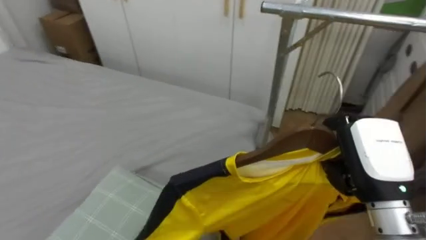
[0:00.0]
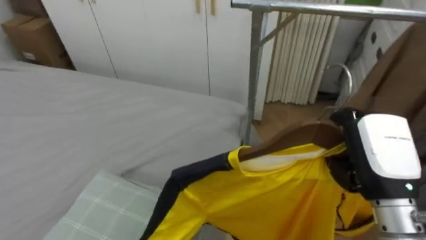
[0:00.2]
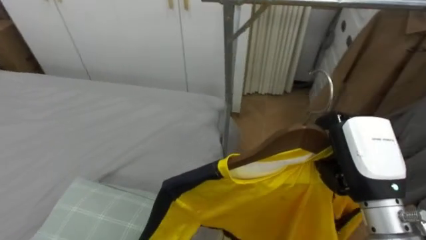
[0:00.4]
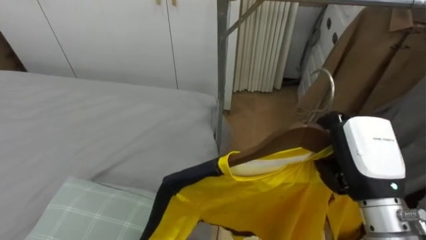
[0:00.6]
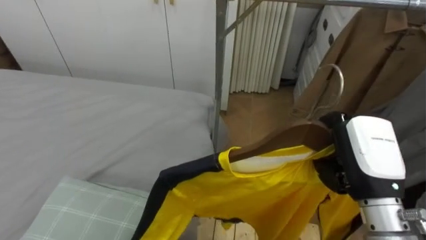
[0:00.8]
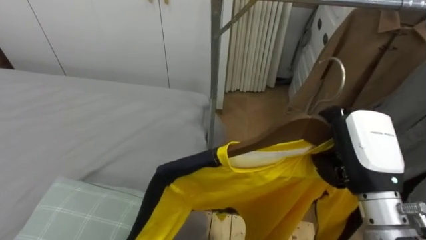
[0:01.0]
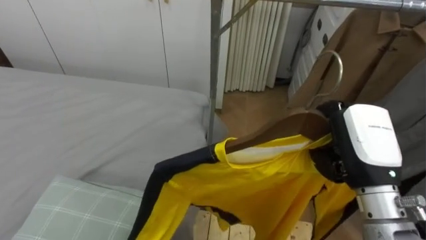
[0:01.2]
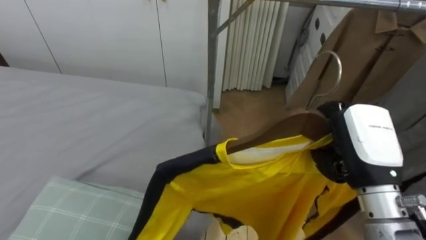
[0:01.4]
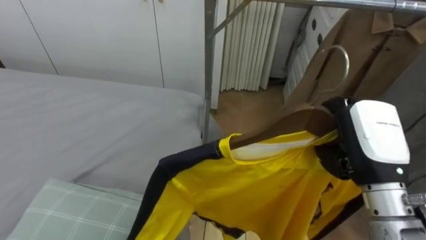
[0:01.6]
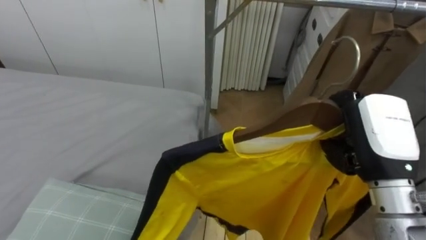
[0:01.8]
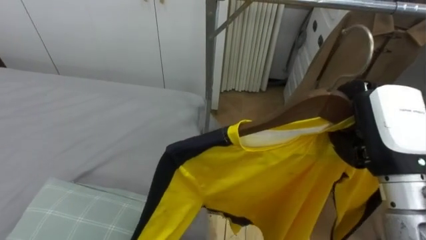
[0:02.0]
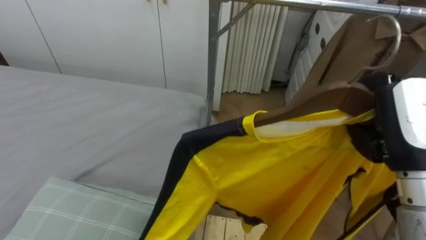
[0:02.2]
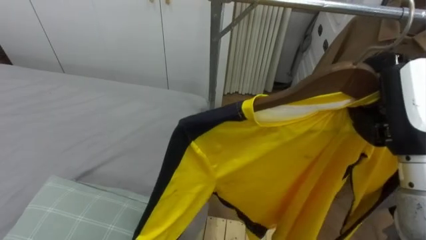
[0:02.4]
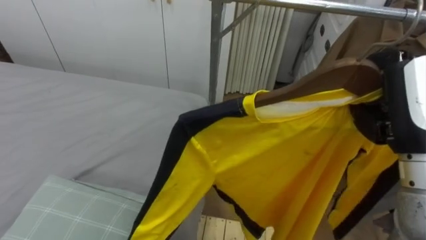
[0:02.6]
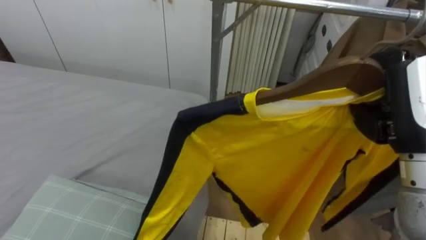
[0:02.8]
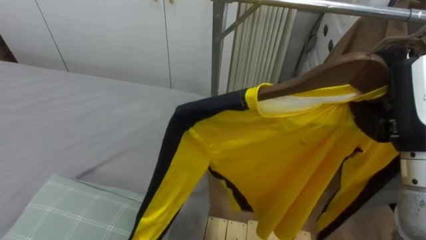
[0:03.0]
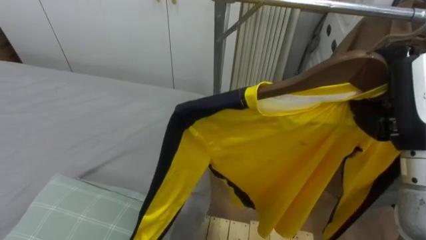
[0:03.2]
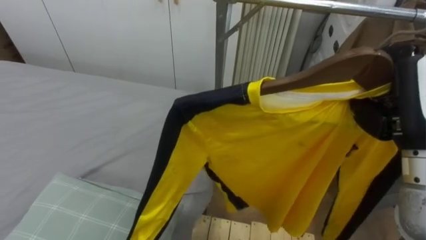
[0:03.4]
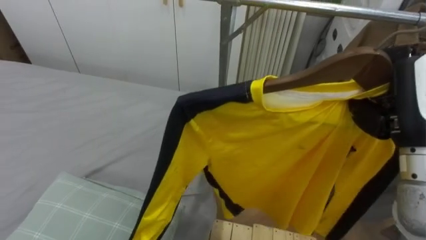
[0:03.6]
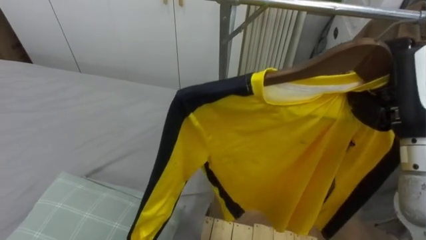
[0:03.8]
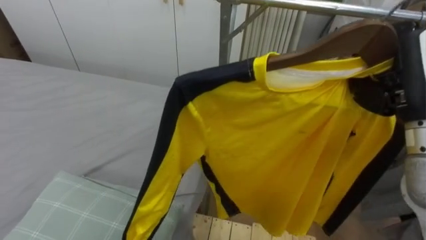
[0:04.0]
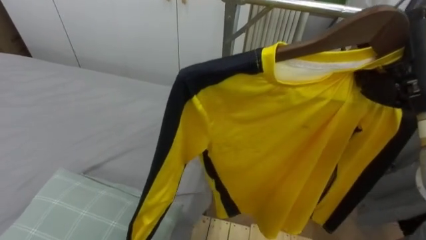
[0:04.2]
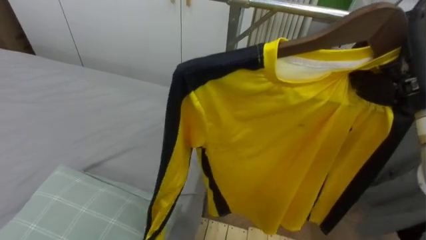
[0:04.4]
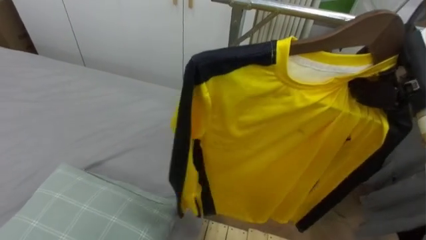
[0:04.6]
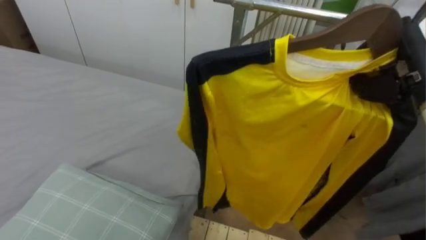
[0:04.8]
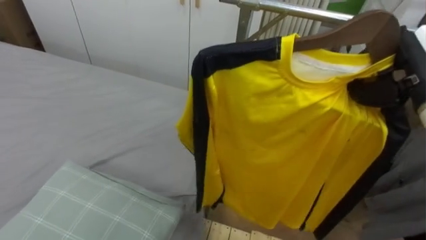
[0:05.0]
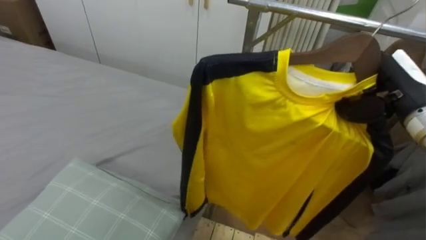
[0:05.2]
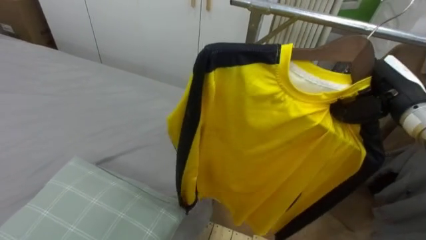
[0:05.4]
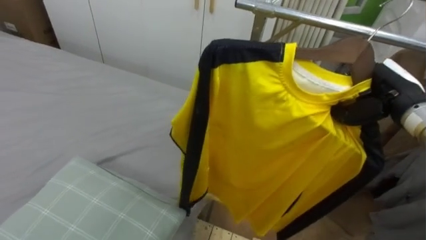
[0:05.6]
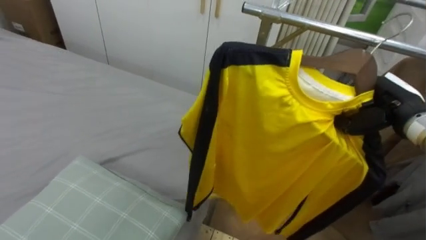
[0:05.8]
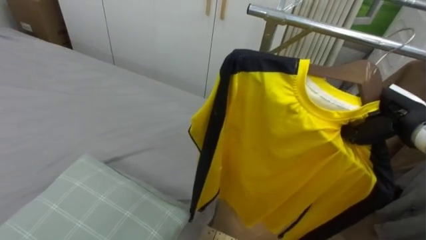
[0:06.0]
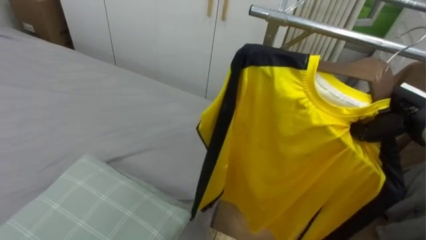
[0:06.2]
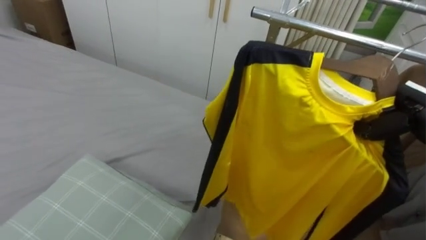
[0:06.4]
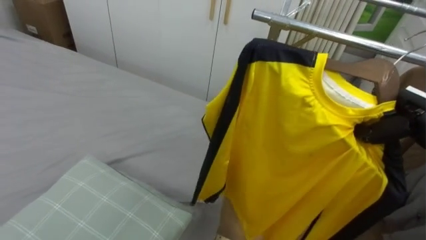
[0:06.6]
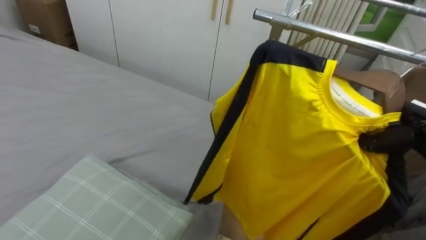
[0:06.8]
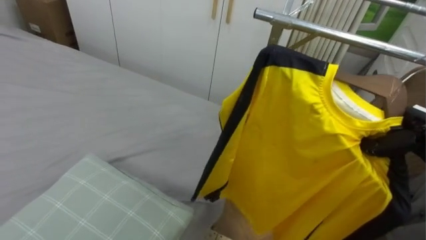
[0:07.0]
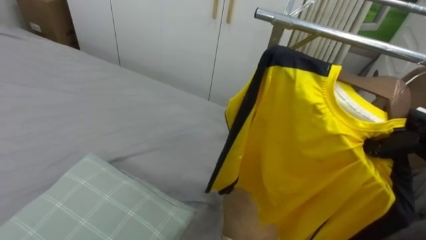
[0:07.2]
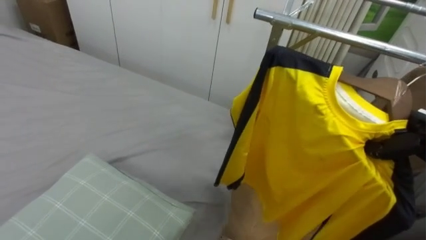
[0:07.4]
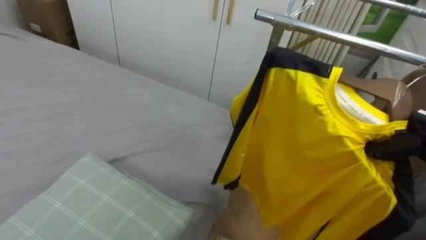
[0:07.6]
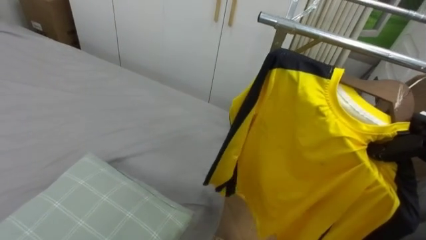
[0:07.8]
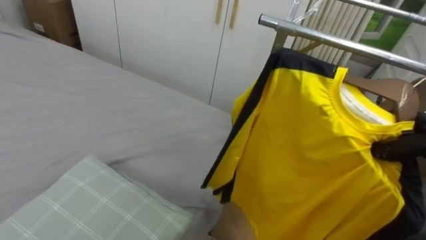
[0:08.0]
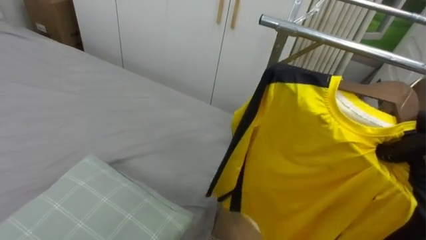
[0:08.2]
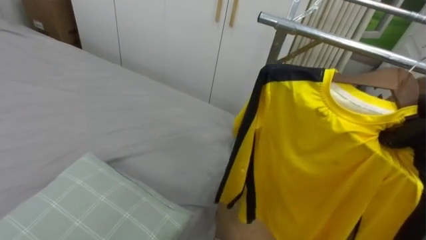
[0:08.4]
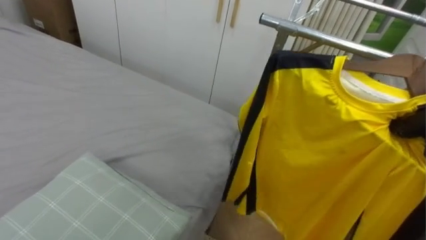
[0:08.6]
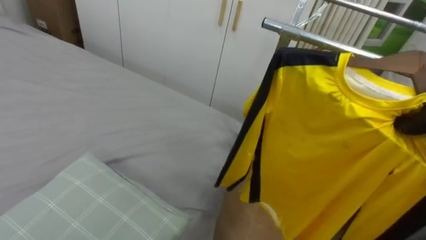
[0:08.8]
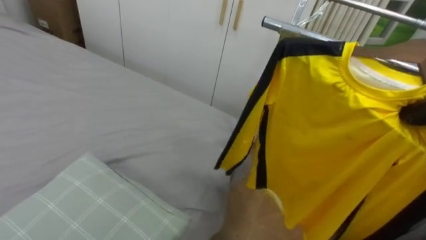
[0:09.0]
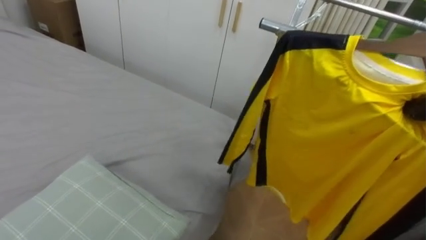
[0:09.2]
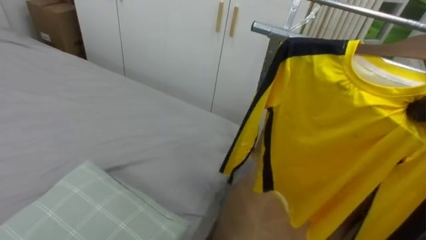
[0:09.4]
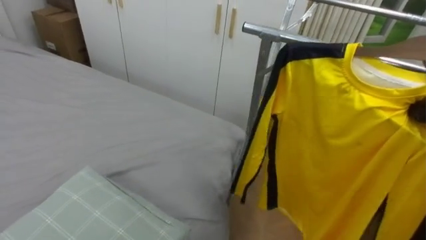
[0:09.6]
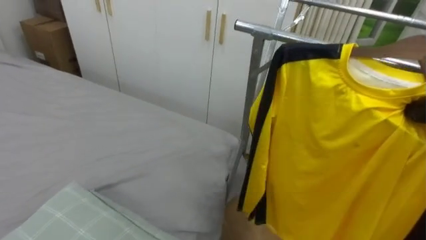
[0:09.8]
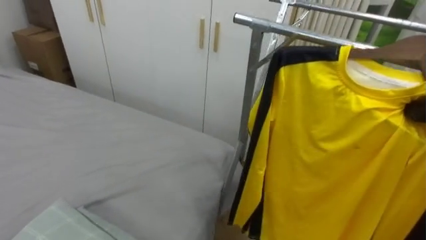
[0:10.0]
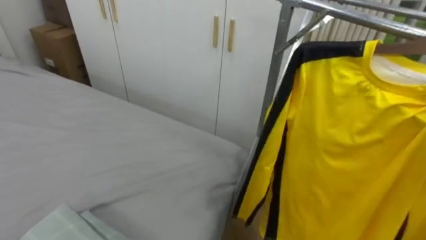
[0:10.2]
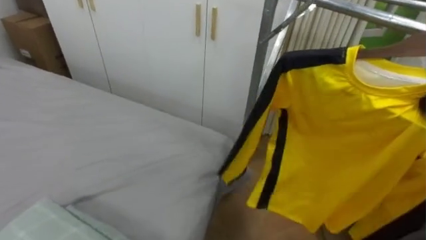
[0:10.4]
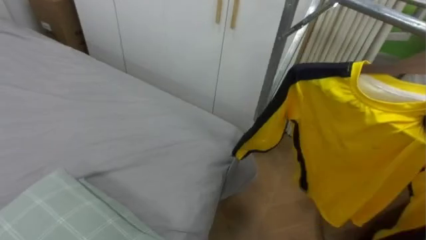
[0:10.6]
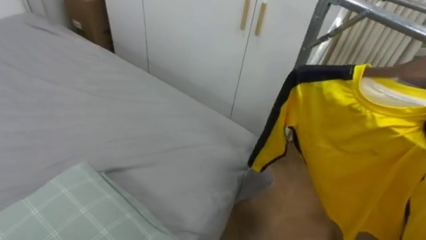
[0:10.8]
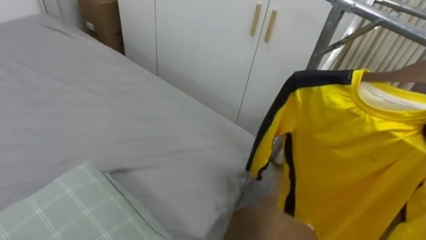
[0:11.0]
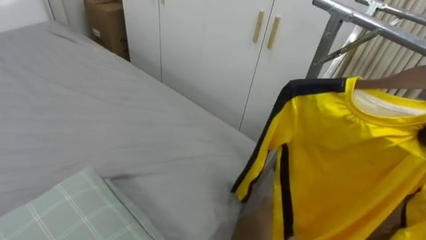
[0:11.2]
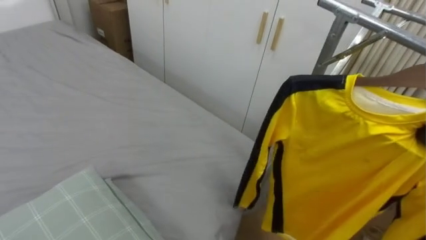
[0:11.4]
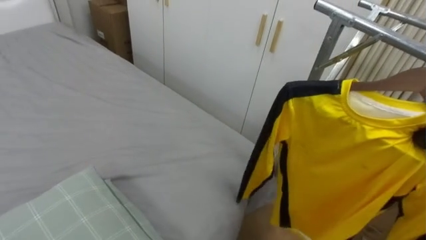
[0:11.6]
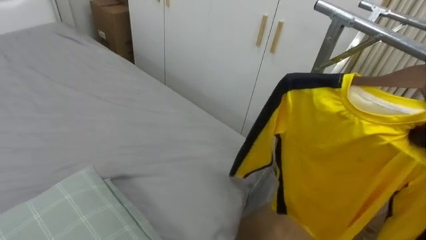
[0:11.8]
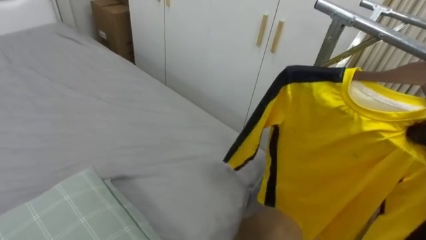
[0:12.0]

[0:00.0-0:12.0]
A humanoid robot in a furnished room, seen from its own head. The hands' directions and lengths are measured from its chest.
Task of the whole recording: Pick up the yellow shirt on the bed and hang it on the clothes rack on the right.
0:00.0 to 0:01.6: The robot faces roughly 20 degrees further to its right.
0:01.6 to 0:03.0: The right hand is displaced upward by roughly 5 cm.
0:03.0 to 0:04.4: The right hand ends up about 5 cm from where it was.
0:04.4 to 0:06.0: The right hand moves downward and forward, about 15 cm.
0:06.0 to 0:07.6: The right hand goes about 5 cm to the right.
0:10.4 to 0:12.0: The robot turns to its left by some 15 degrees.

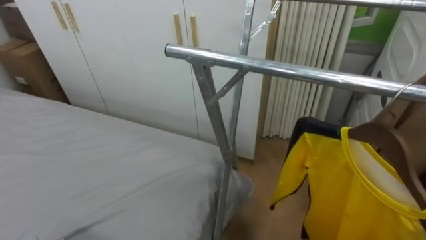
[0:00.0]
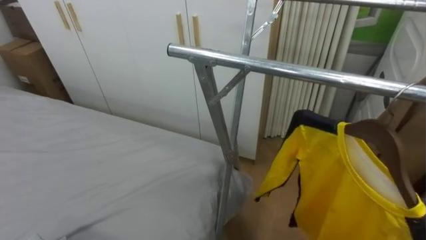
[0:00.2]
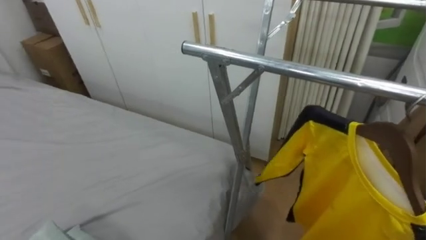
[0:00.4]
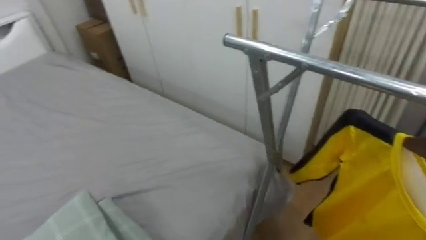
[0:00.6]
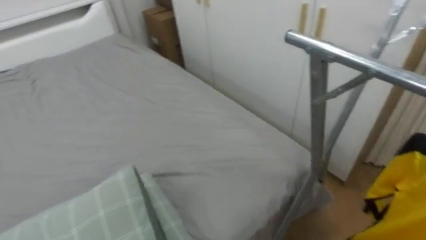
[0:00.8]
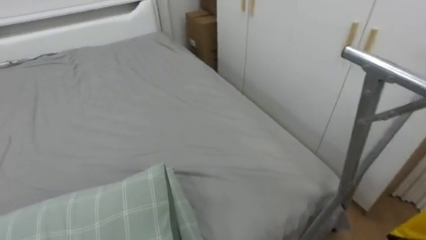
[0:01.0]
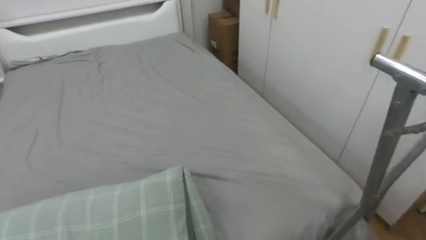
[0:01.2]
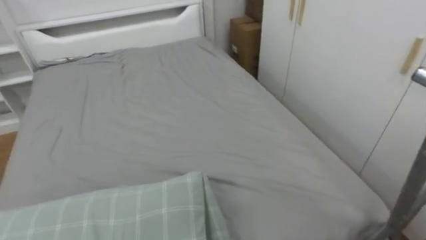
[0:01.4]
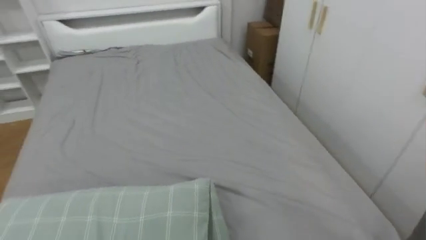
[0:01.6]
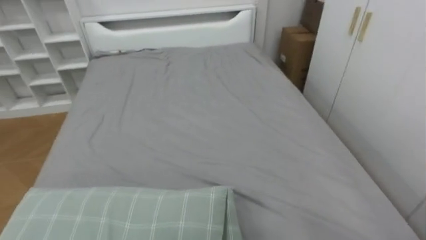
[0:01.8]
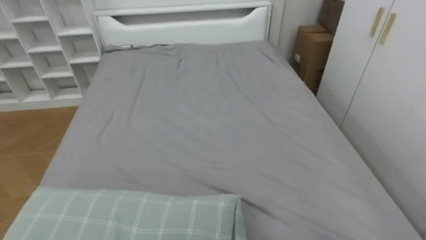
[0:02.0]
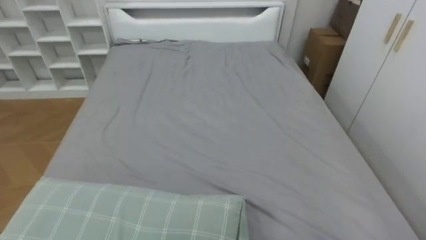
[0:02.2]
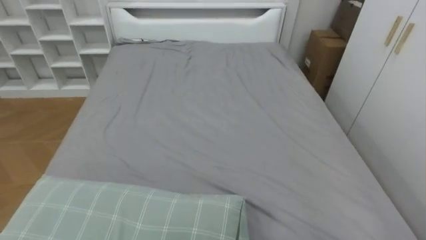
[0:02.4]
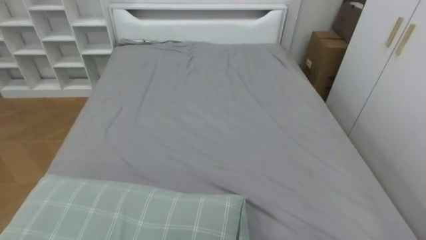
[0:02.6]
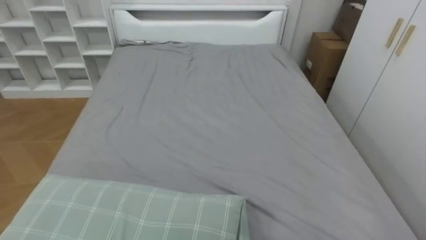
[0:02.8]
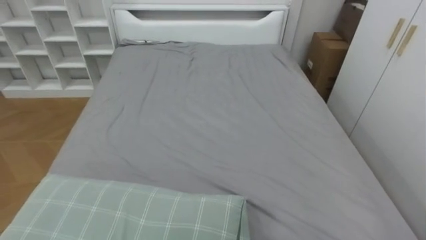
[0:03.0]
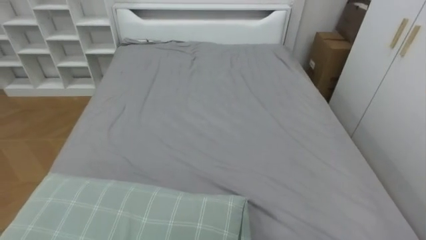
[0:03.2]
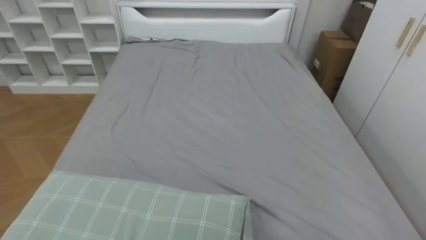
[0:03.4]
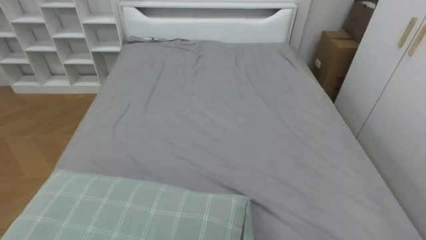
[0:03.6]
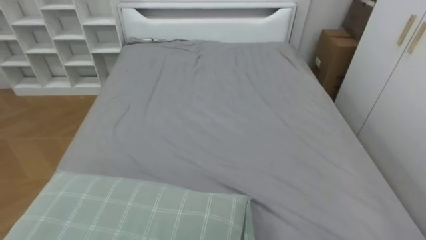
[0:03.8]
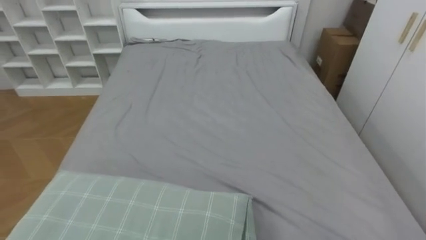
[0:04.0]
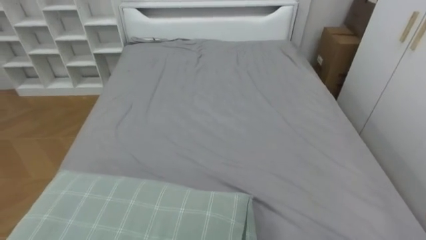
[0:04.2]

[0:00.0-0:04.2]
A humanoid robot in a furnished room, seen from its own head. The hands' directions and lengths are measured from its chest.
Task of the whole recording: Pick up the yellow shirt on the bed and hang it on the clothes rack on the right.
0:00.0 to 0:01.4: The robot rotates roughly 40 degrees to its left.
0:01.4 to 0:02.8: The robot's body swings some 20 degrees to its left.
